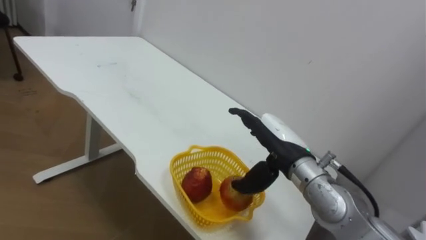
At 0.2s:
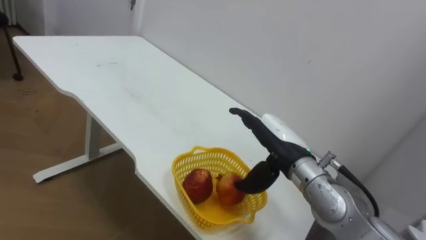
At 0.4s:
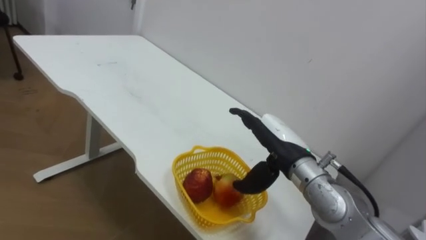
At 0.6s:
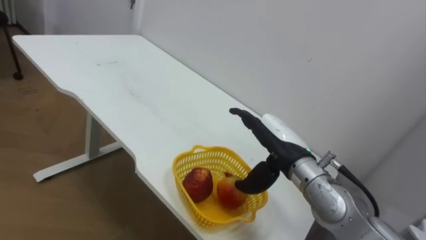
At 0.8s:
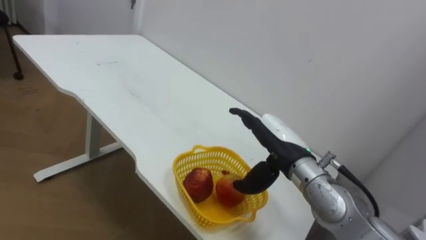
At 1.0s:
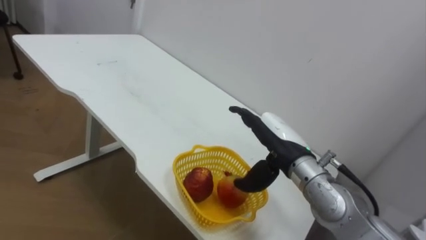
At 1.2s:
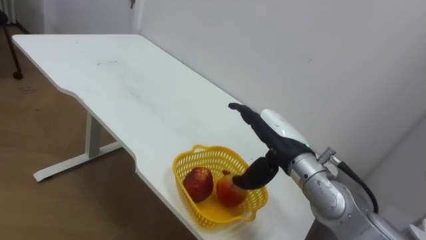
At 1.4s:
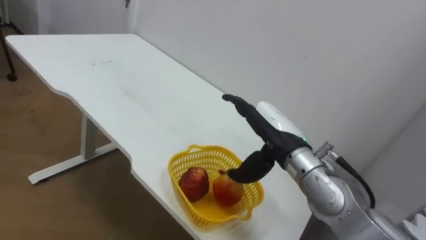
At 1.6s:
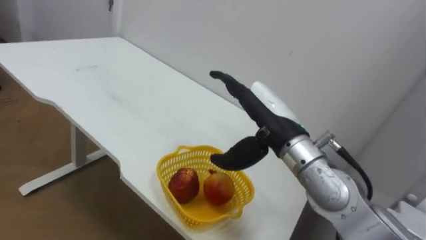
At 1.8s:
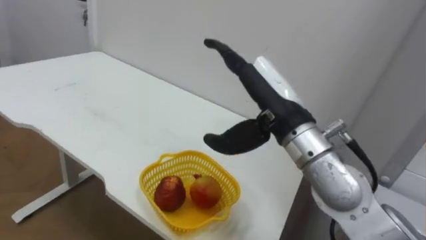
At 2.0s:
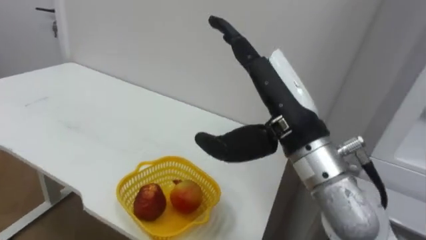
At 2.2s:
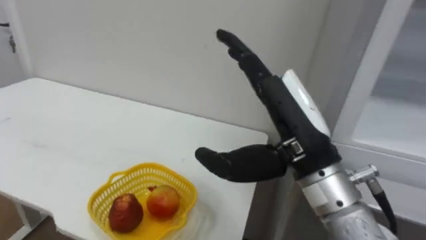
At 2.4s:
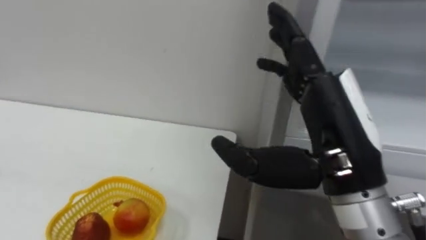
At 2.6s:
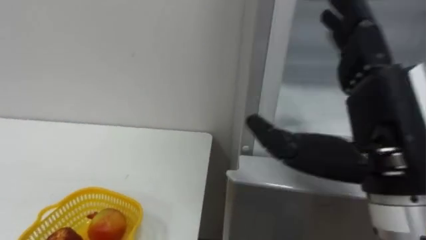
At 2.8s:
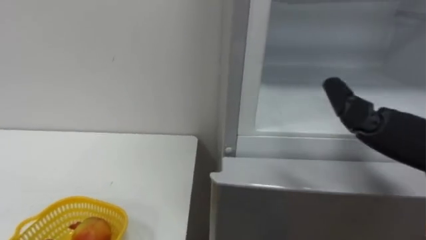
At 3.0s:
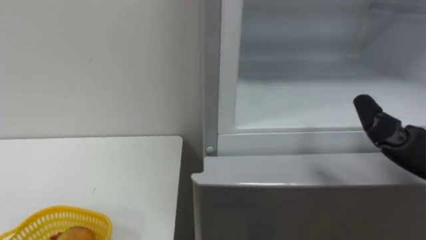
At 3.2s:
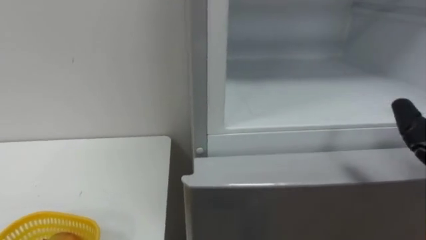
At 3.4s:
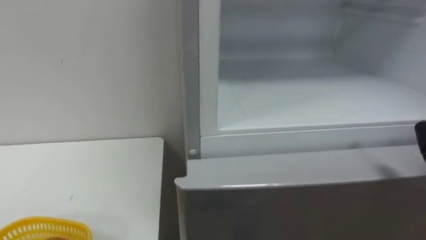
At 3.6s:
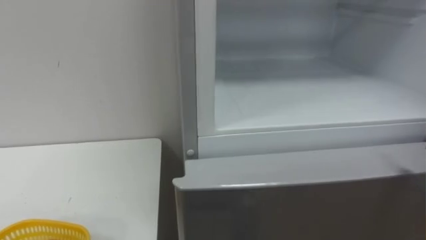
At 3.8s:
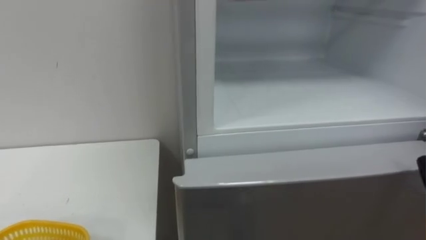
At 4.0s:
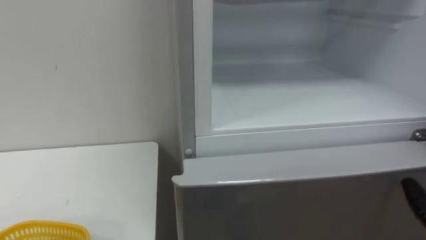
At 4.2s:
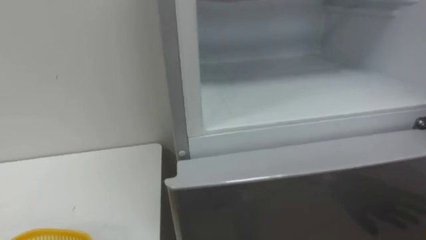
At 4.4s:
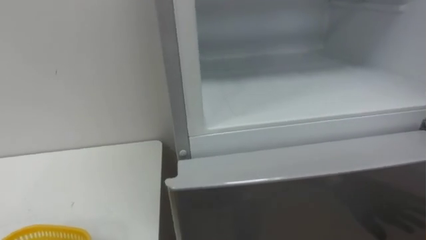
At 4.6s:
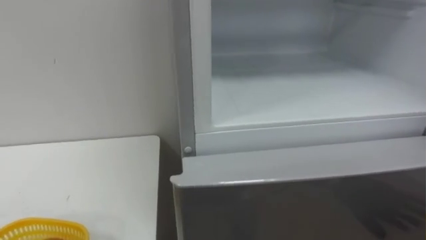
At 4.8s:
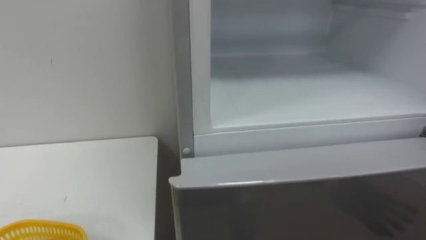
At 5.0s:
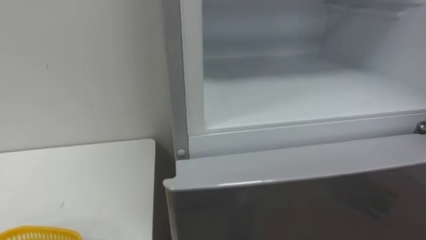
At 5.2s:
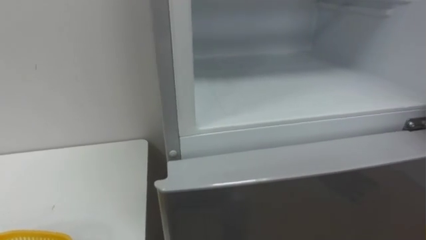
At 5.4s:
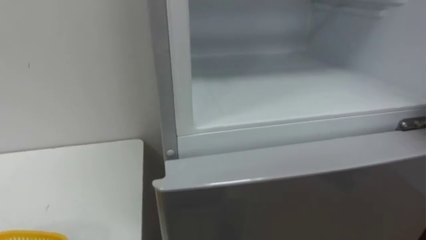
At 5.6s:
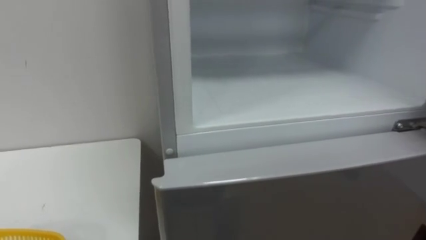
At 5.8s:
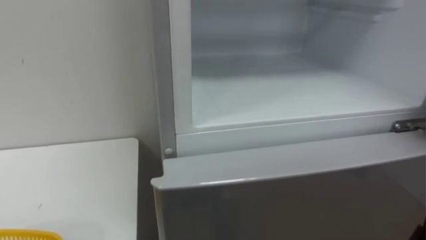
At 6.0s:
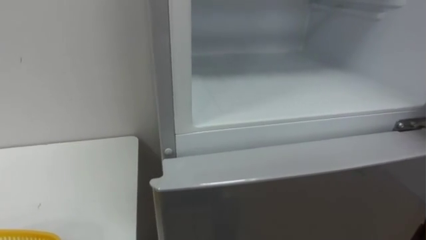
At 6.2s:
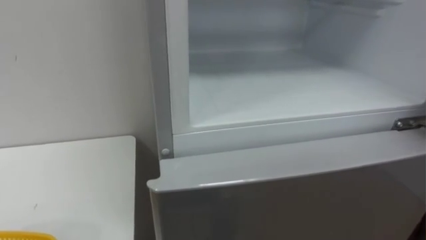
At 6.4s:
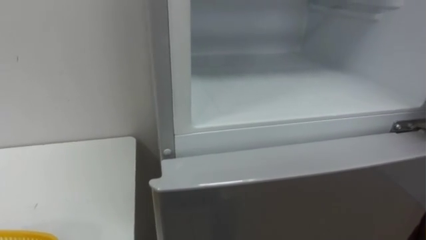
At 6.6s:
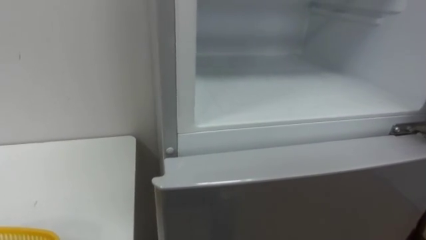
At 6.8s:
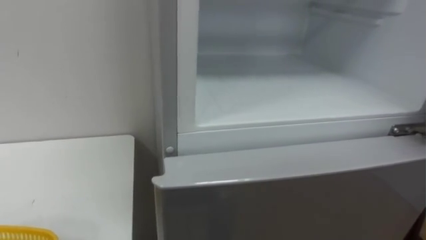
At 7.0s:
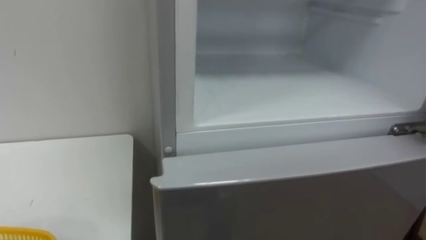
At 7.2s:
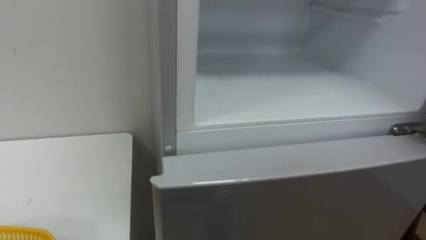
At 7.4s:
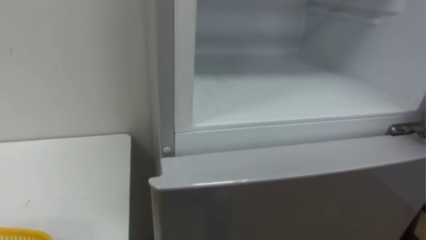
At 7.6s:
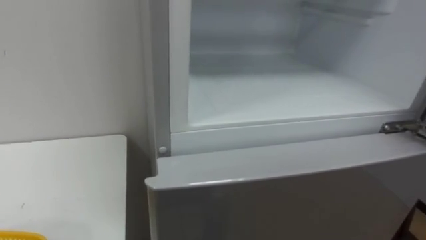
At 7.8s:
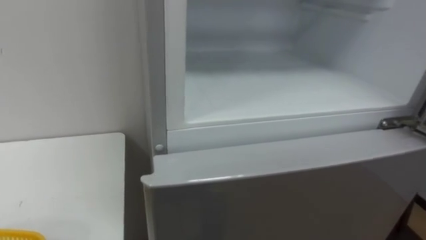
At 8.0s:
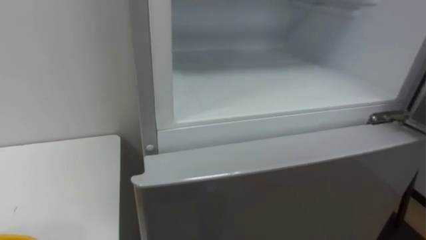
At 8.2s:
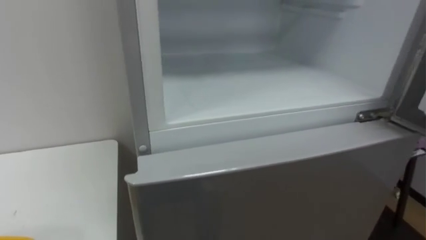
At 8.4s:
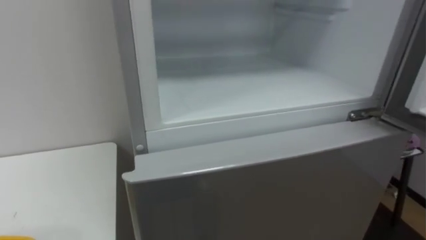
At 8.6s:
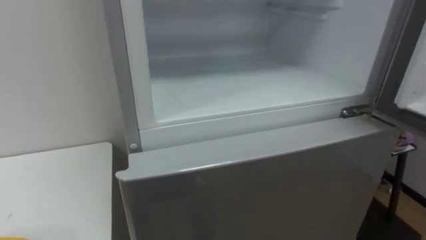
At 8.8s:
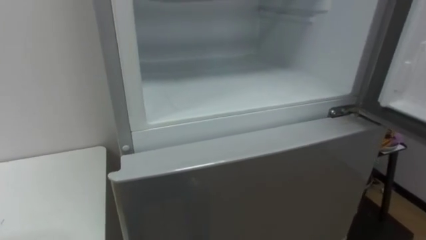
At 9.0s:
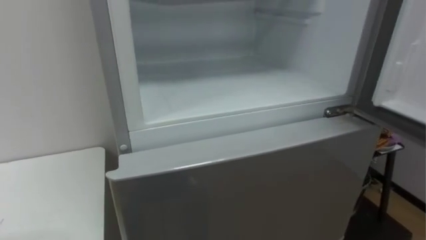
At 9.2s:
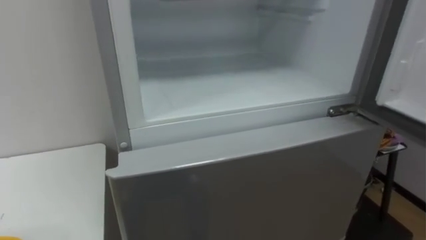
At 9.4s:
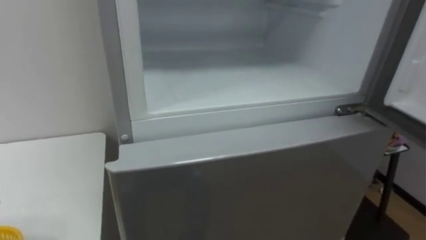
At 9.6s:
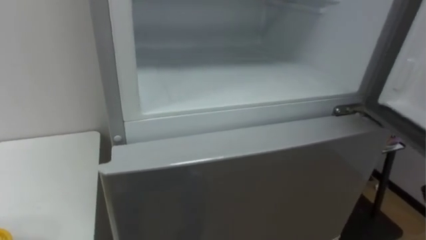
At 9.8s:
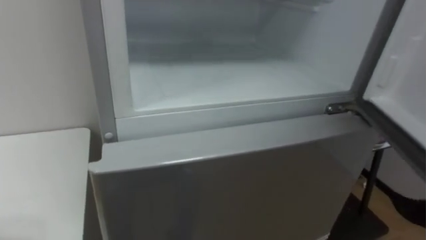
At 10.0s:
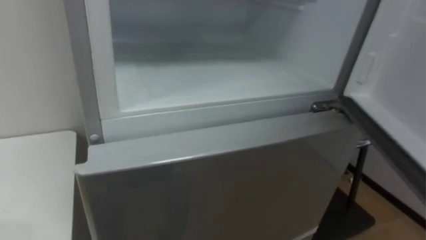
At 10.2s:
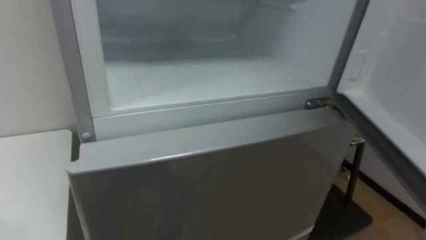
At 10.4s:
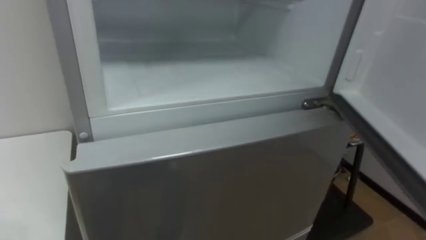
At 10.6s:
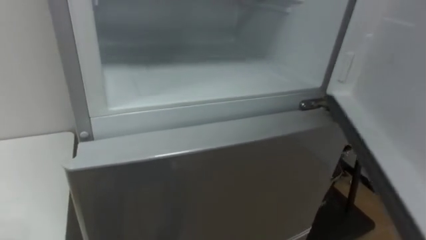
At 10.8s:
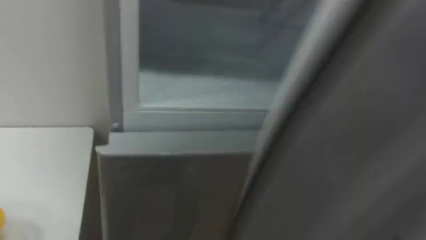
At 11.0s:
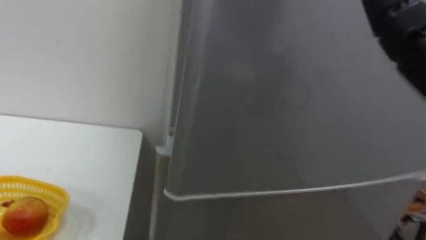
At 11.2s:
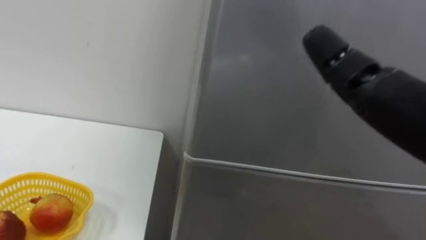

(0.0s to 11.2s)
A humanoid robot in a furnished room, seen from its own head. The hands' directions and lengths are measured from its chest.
Task of the whole recording: Open the refrigerator door, take out the apple and the pomegranate, place them in the fruit basket on the left, and close the refrigerator door.
0.0s - 1.6s: The right hand heads upward, covering approximately 5 cm.

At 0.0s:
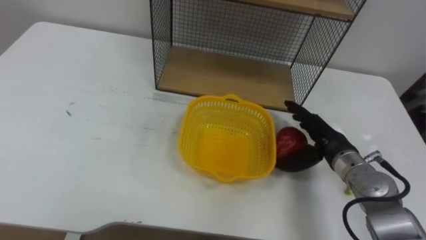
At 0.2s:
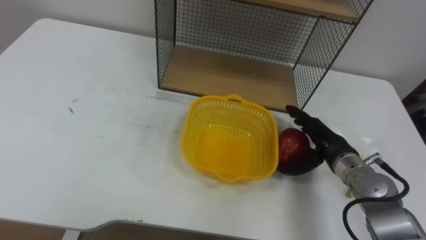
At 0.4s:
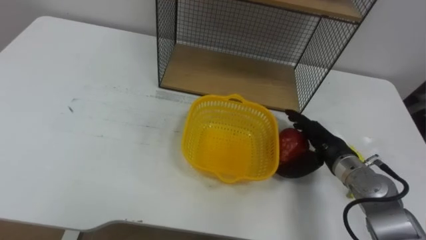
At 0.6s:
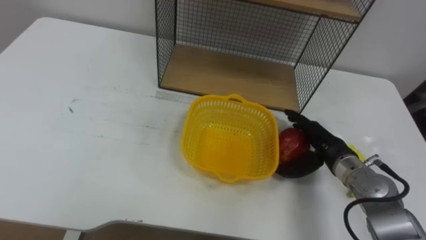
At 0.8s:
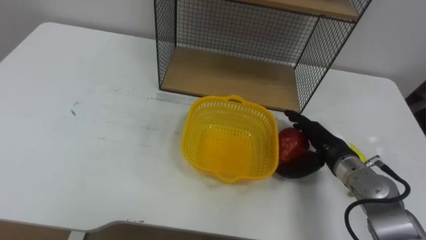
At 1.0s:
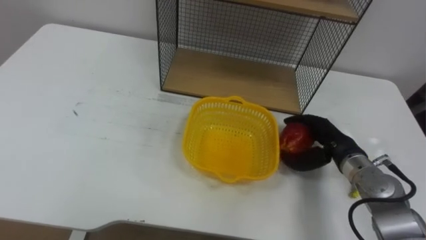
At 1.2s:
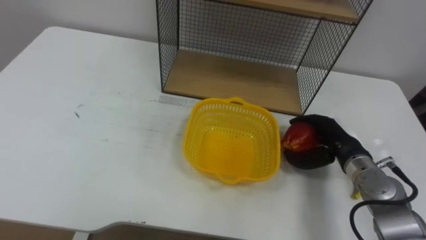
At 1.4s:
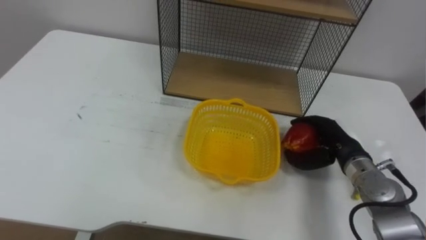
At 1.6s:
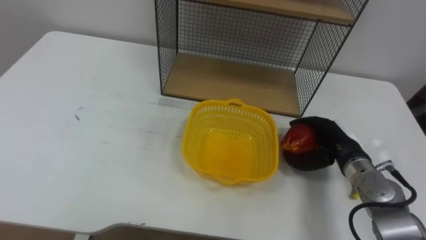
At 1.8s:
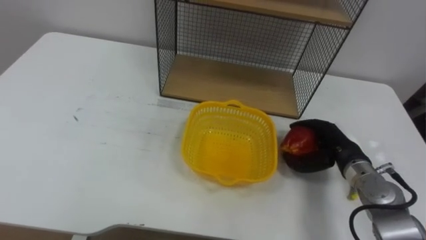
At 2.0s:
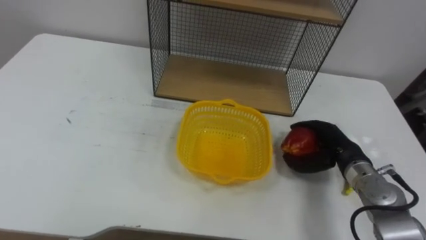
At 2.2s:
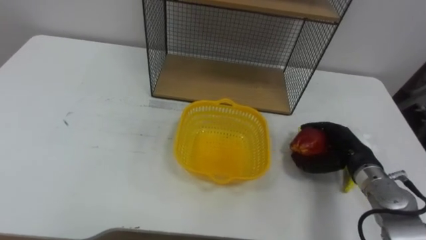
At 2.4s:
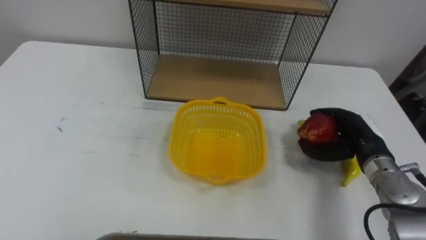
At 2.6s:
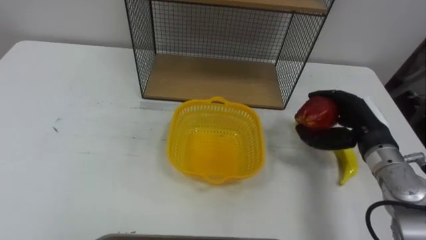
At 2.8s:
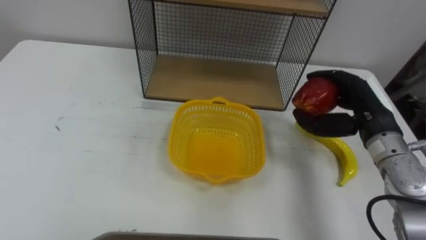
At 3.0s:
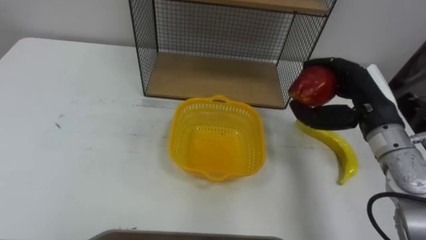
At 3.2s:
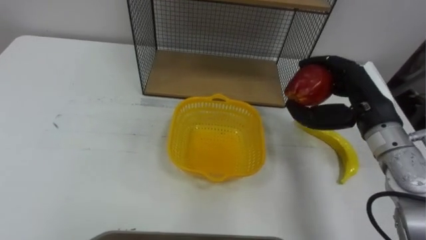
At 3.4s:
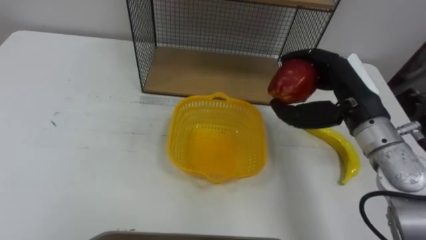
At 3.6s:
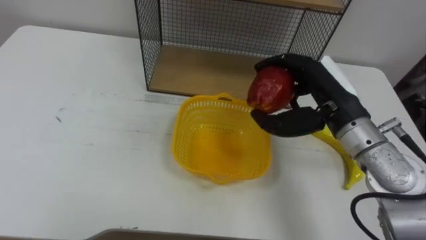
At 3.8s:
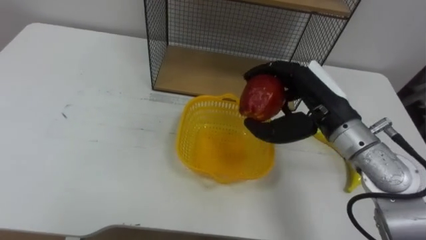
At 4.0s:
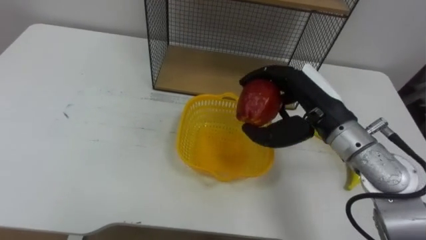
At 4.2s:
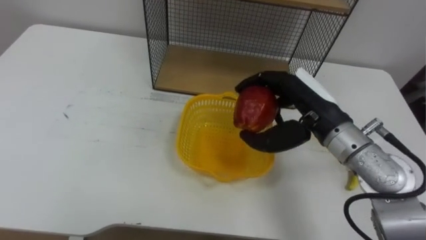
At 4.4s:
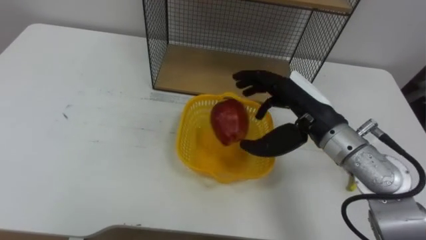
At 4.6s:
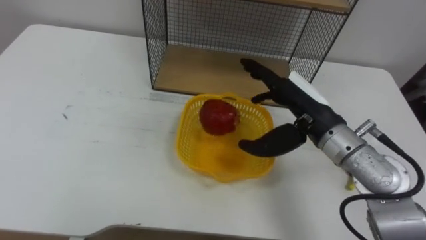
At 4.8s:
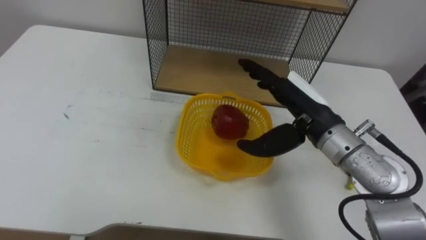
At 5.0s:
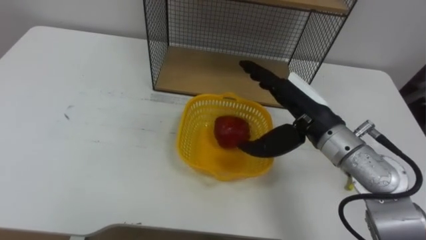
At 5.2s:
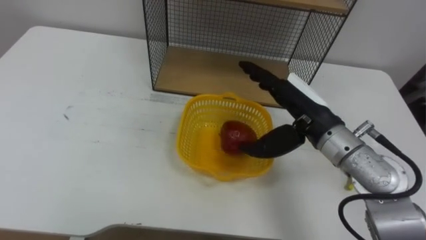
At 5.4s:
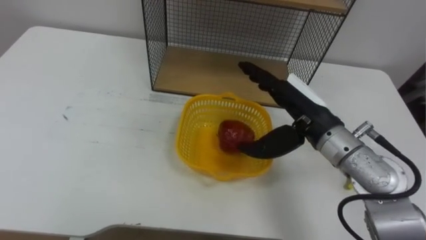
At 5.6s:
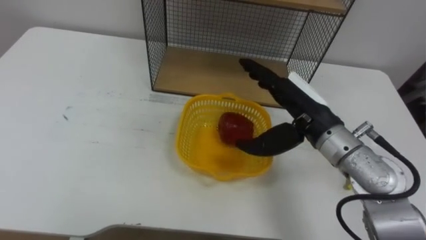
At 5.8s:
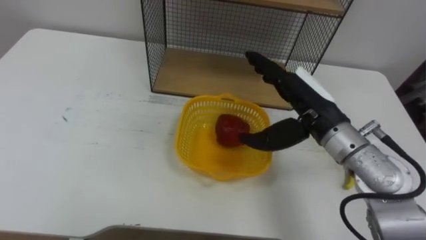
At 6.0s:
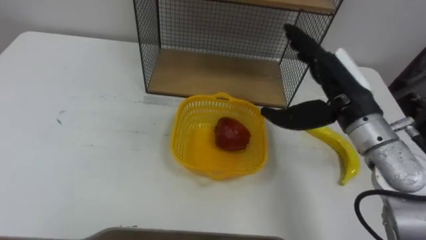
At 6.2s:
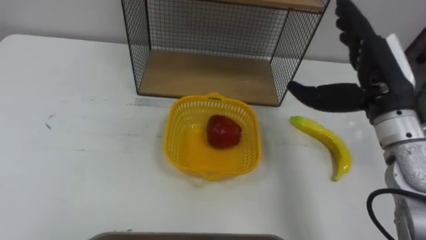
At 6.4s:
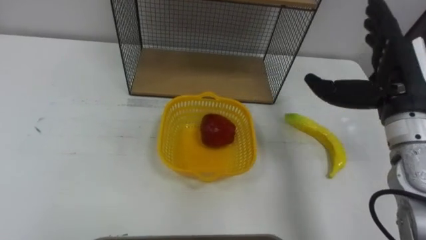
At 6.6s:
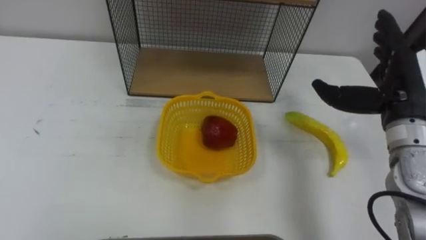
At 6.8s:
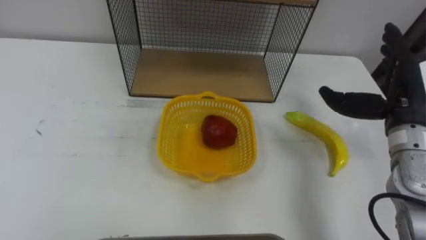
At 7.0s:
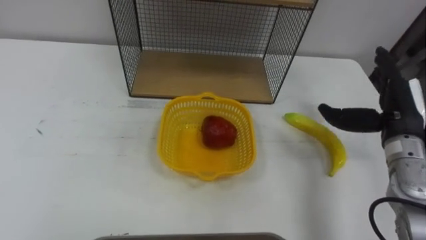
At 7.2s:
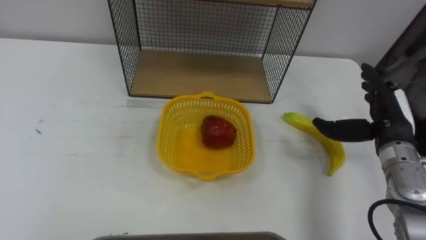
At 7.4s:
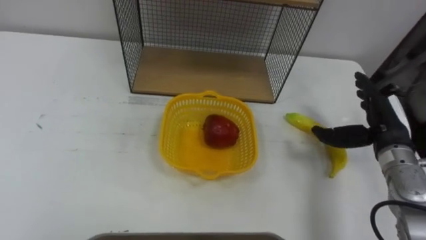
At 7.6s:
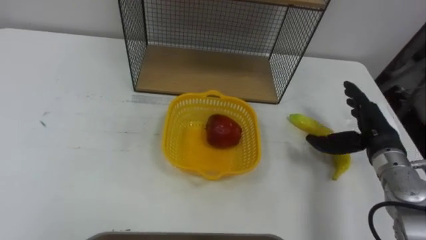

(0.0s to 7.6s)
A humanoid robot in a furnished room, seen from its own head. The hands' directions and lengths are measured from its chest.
Task of the whole recording: Put the fruit on the table into the basket, then place the basket on the shelf.
0.0s - 1.6s: The right hand closes its fingers.
1.6s - 3.0s: The right hand is displaced upward by roughly 15 cm.
3.0s - 4.6s: The right hand travels to the left by approximately 10 cm, and opens up.
6.0s - 7.6s: The right hand is displaced to the right and downward by some 15 cm.
